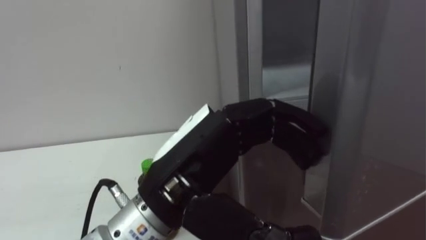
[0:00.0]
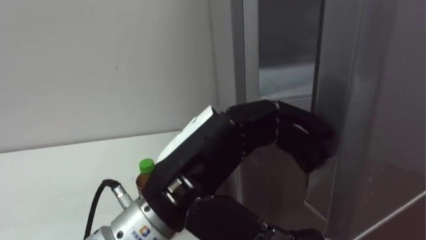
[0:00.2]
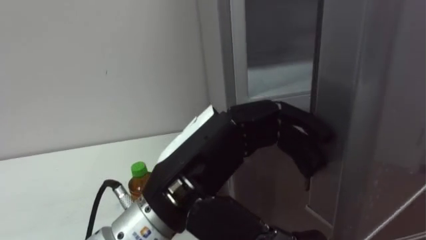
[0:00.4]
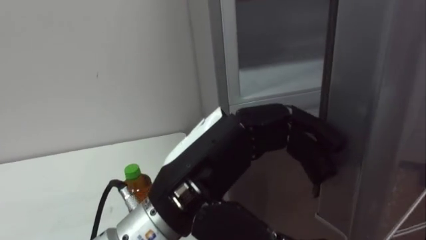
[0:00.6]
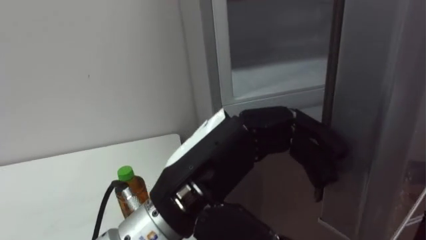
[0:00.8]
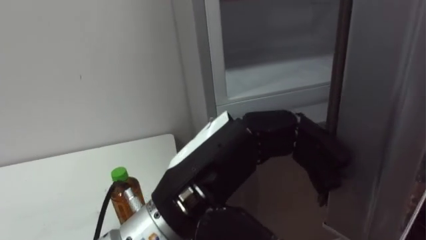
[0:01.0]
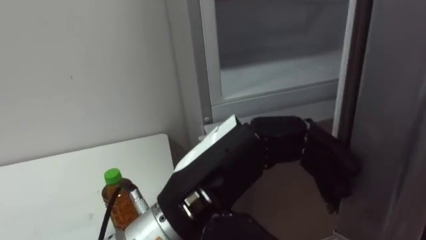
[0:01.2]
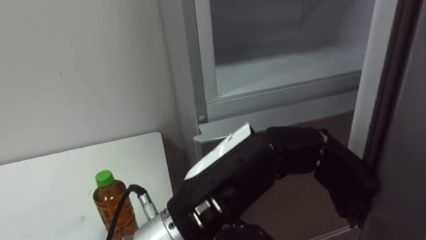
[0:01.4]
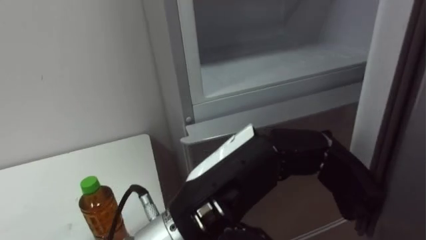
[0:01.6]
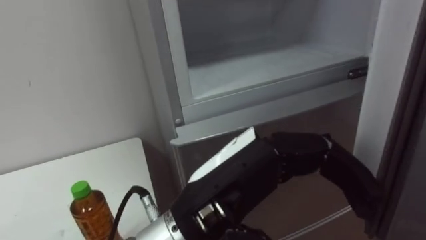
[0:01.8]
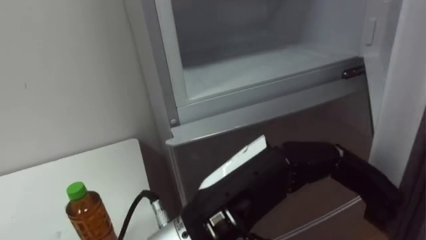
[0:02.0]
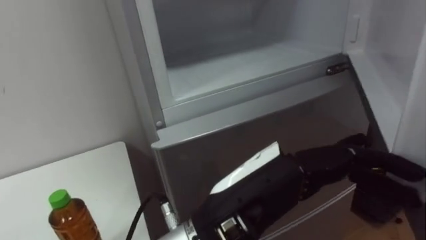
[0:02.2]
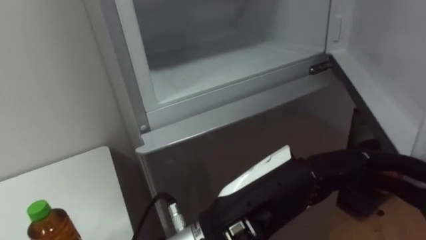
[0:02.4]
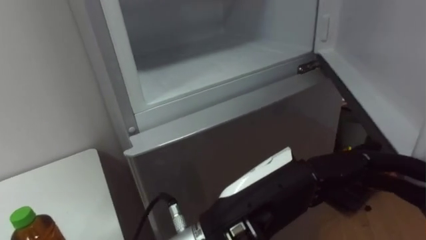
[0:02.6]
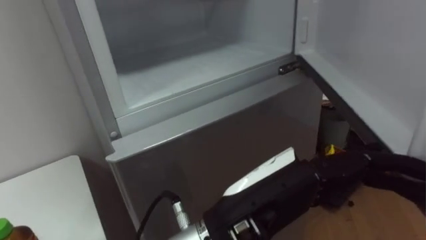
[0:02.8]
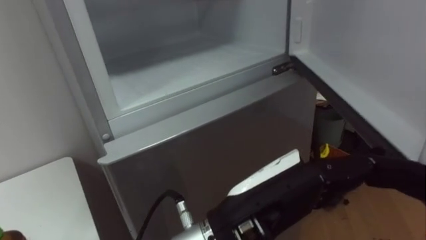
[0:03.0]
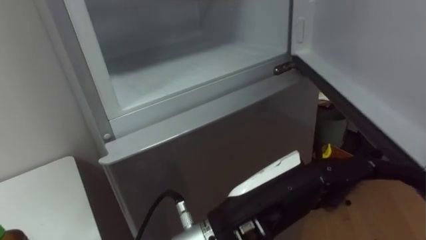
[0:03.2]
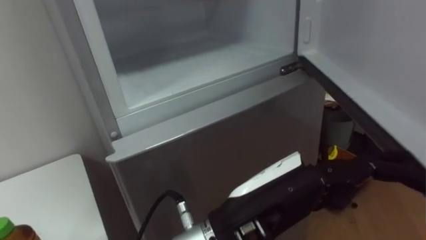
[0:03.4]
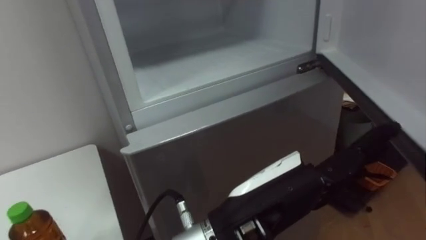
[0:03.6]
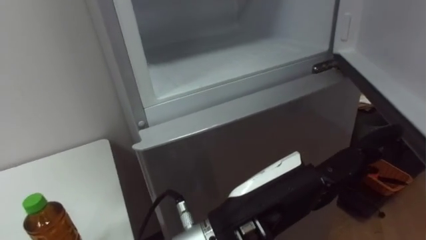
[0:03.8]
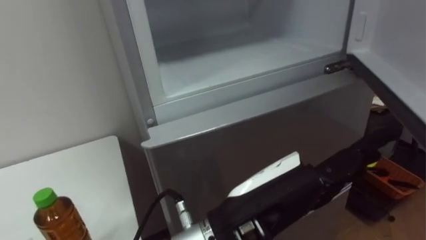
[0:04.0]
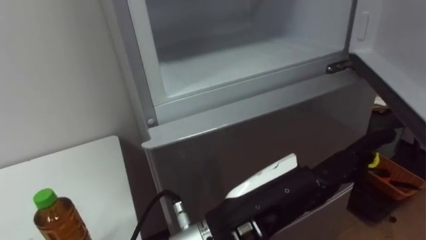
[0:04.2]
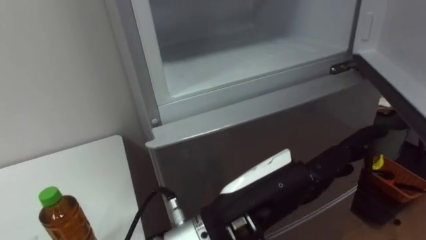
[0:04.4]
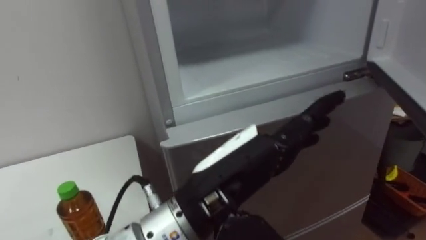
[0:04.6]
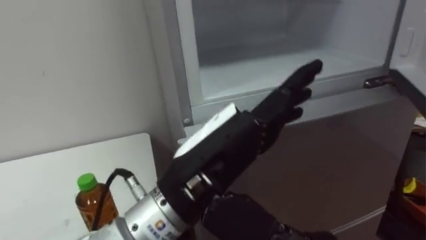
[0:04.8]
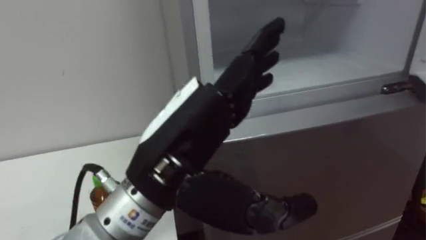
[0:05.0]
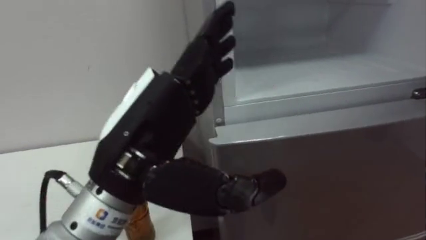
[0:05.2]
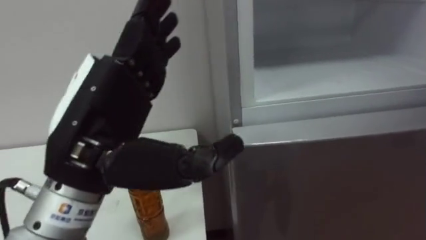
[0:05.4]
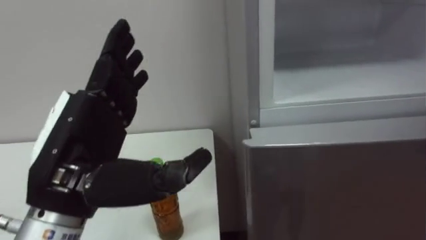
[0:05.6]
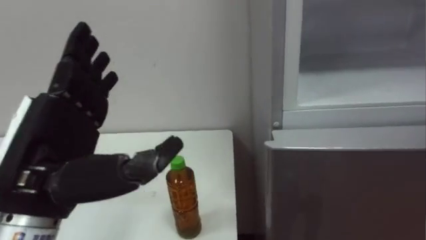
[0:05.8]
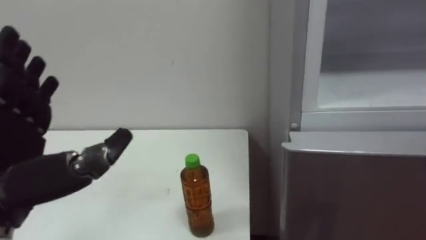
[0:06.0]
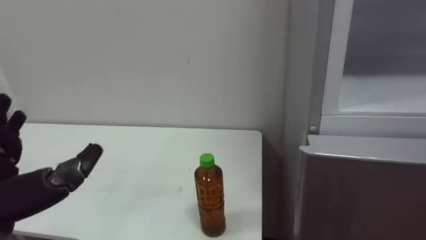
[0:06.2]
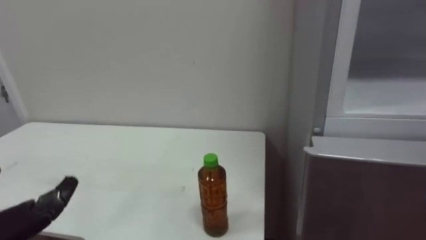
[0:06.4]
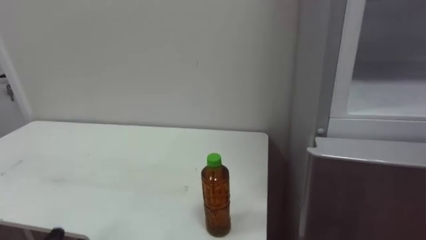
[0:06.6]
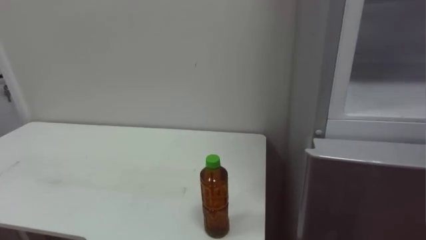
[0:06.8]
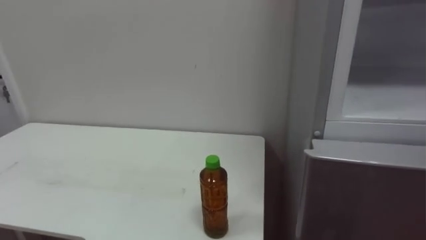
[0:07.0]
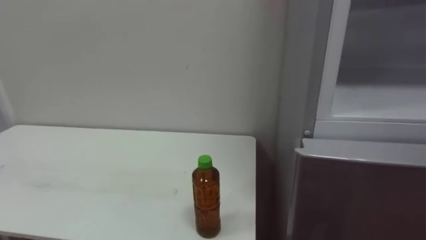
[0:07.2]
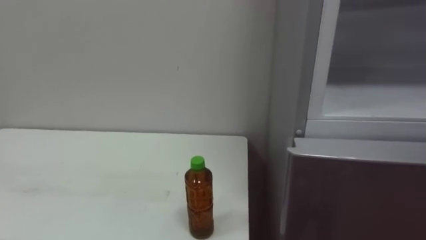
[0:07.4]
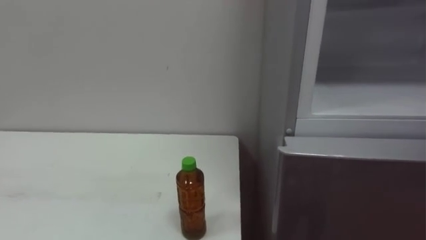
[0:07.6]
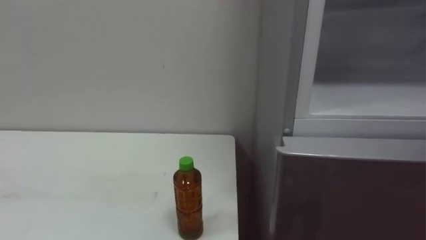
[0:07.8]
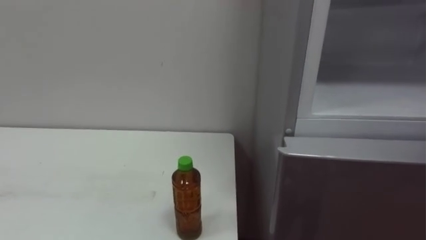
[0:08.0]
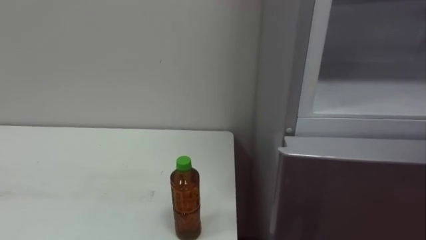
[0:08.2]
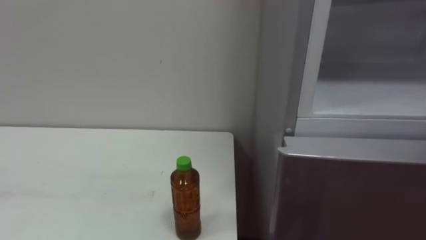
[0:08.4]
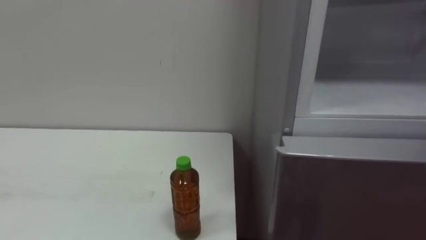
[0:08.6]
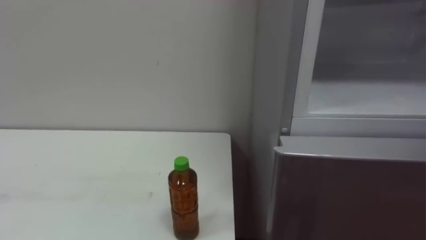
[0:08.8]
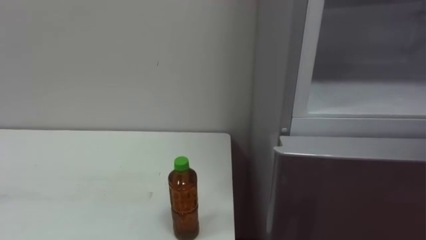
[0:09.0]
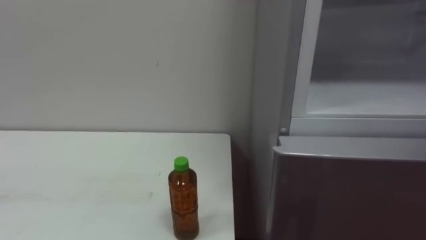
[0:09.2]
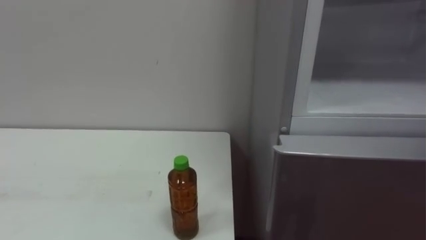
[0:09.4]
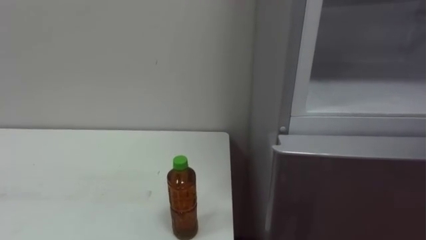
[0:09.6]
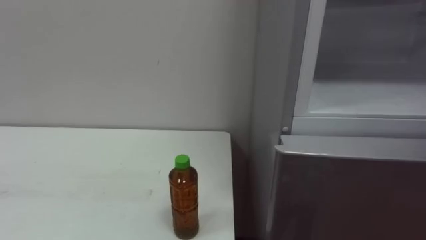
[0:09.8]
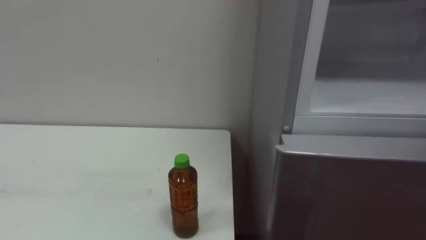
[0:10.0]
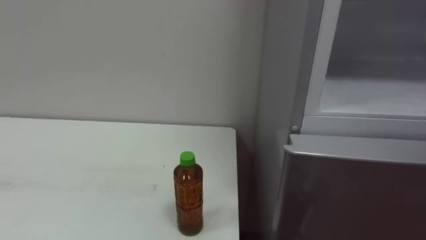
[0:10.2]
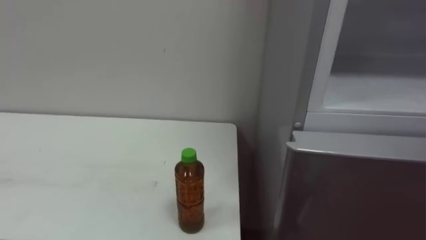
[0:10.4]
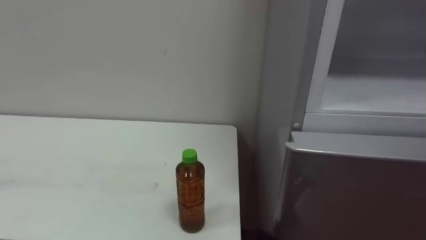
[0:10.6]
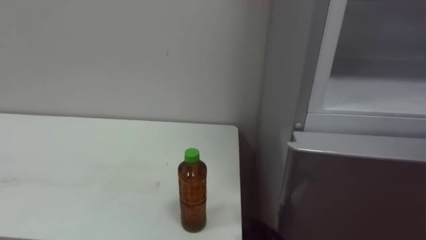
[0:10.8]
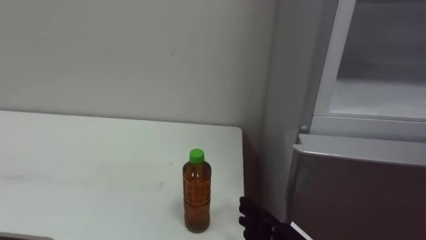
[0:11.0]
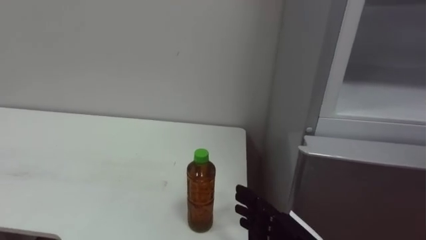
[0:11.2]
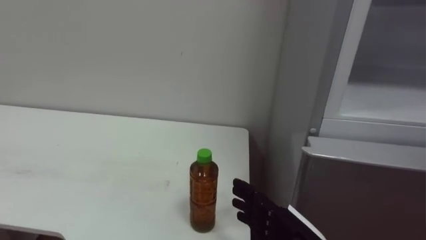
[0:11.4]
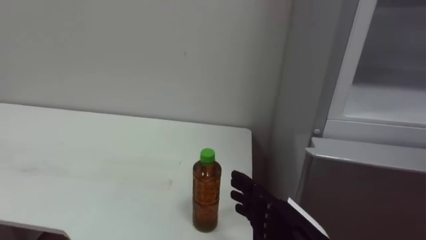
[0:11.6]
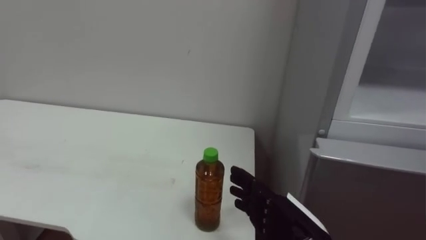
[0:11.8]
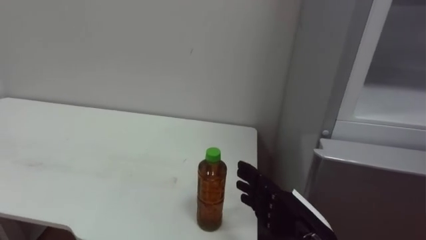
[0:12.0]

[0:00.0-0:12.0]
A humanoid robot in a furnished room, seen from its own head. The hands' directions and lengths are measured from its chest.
Task of the whole recording: Open the upper refrigerator door, put the drink from the table into the refrigerator, and then close the refrigerator door.
0:04.4 to 0:06.0: The left hand goes roughly 25 cm to the left.

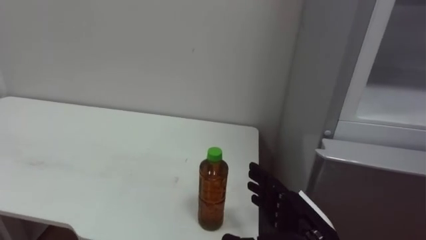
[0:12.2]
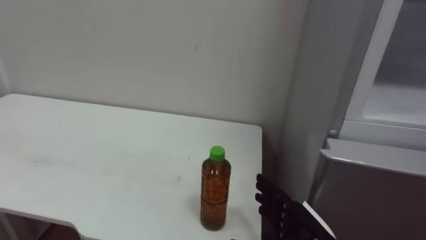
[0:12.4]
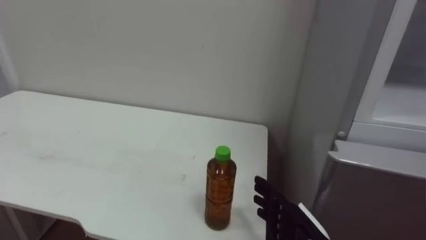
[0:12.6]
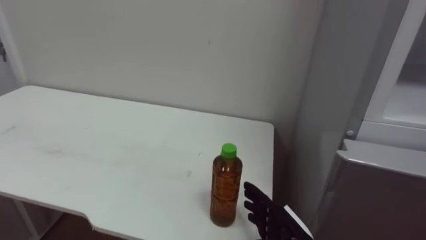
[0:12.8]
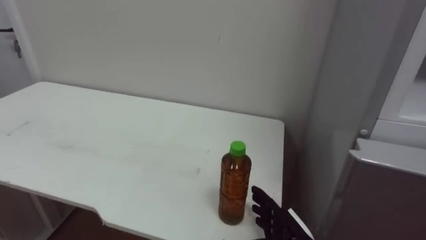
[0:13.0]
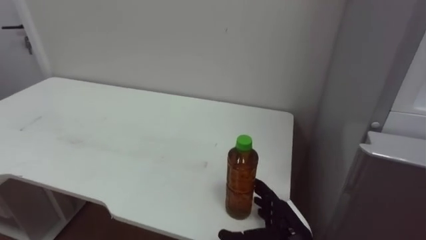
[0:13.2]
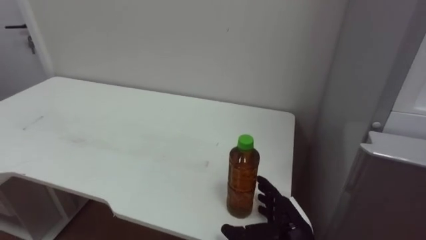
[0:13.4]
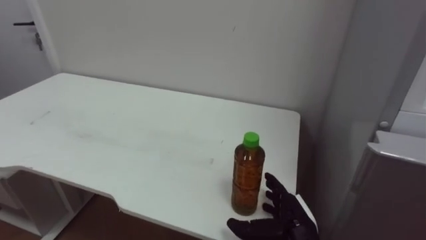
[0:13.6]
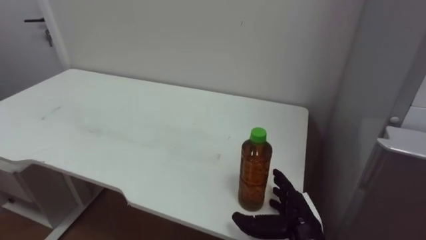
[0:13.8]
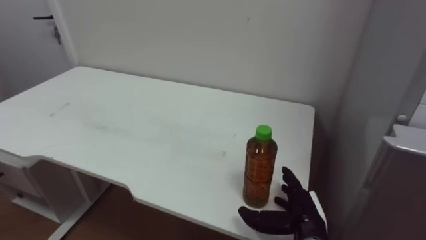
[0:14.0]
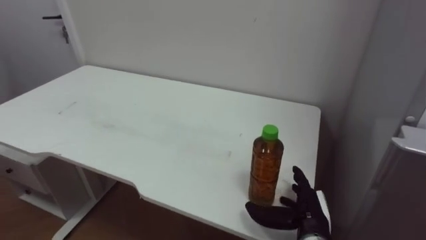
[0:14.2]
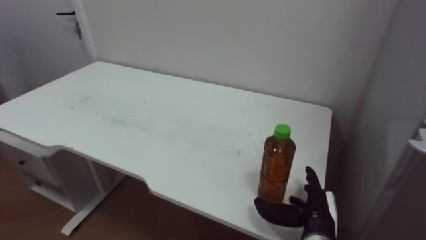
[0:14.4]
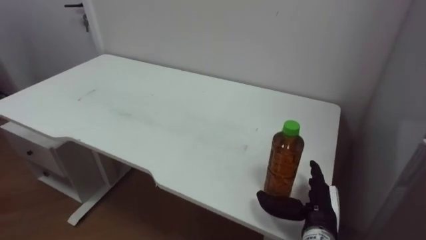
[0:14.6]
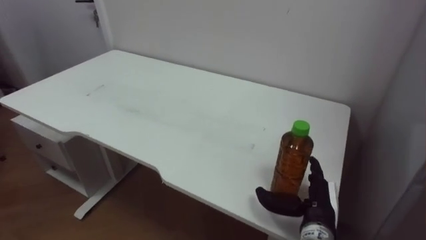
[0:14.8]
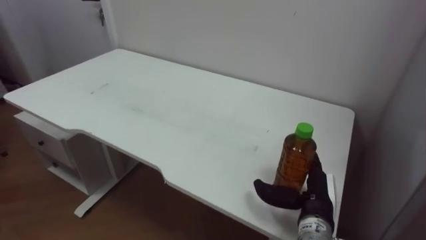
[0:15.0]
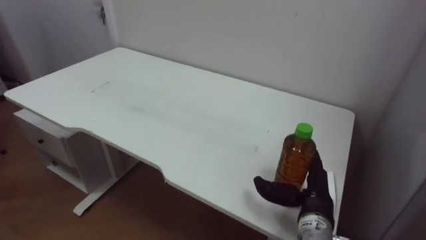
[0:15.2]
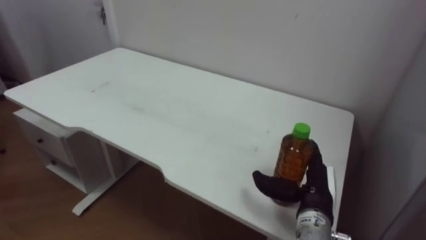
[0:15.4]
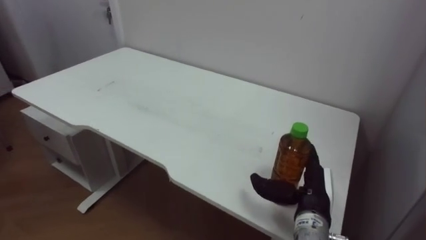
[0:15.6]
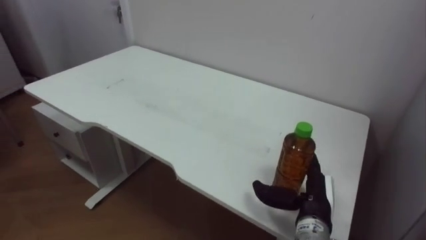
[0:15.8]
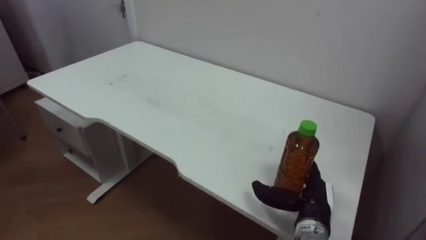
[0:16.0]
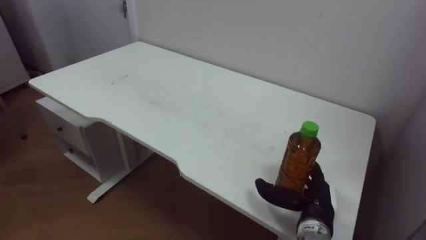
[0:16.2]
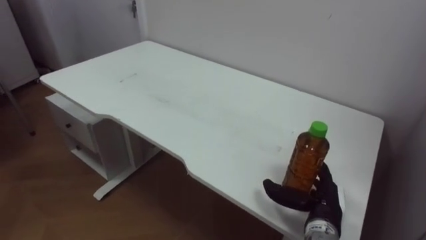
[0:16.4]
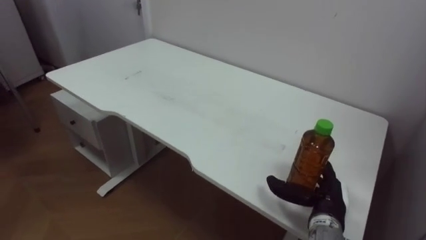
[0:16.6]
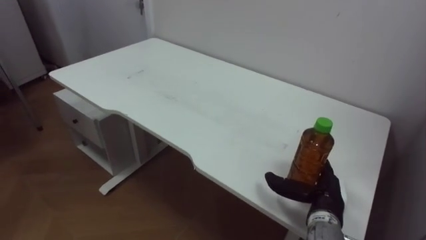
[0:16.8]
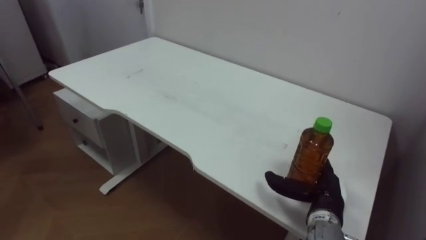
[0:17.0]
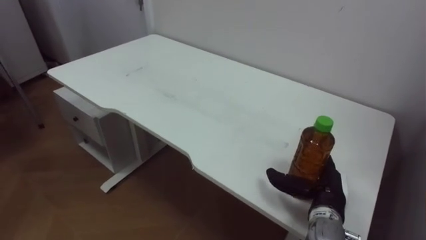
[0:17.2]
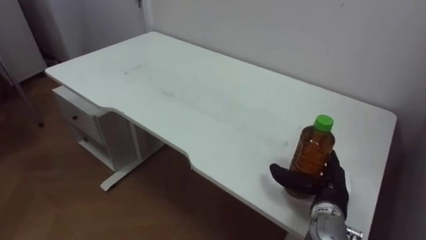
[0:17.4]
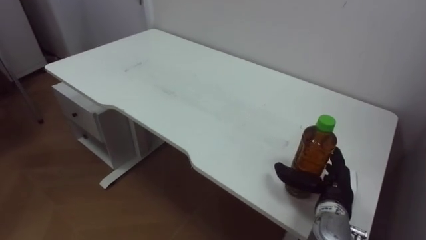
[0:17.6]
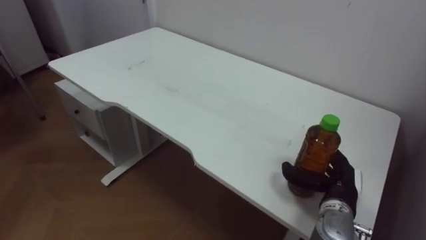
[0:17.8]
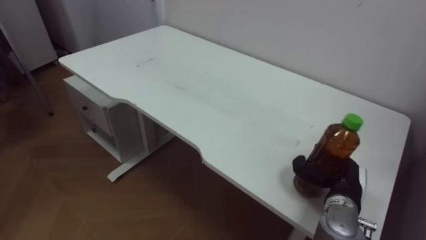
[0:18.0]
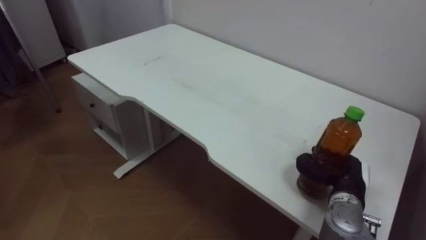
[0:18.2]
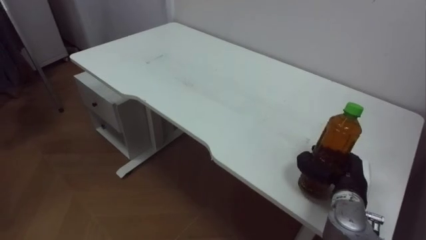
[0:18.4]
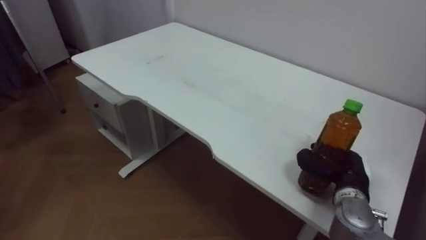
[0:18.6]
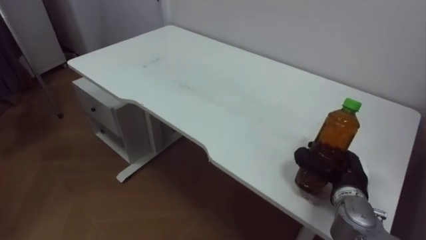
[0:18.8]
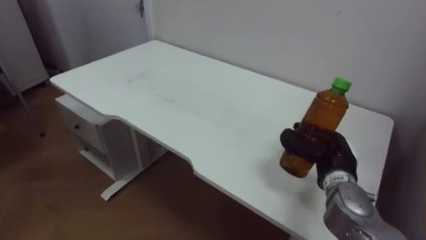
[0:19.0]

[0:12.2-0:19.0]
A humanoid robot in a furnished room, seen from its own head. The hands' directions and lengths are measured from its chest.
Task of the whole recording: Open the upper refrigerator door, put the drink from the table into the refrigerator, and then close the refrigerator door.
0:12.2 to 0:13.6: The right hand goes some 10 cm downward and forward.
0:13.6 to 0:15.0: The right hand changes place by roughly 5 cm.
0:17.6 to 0:19.0: The right hand ends up some 5 cm from where it was, and closes its fingers.
